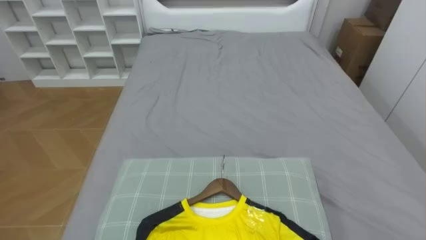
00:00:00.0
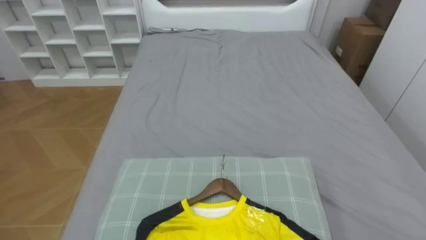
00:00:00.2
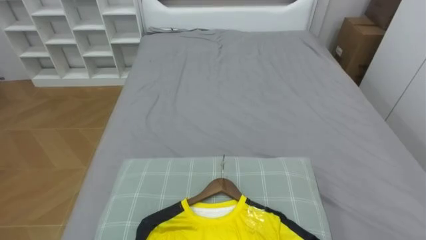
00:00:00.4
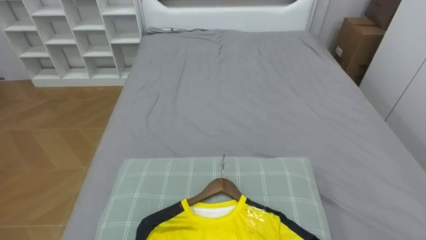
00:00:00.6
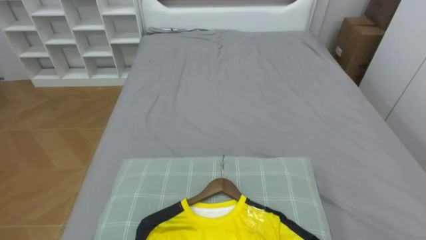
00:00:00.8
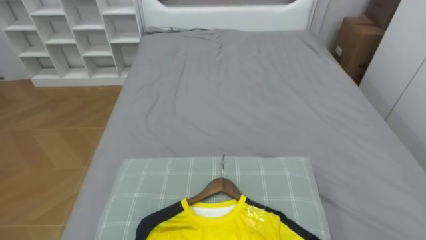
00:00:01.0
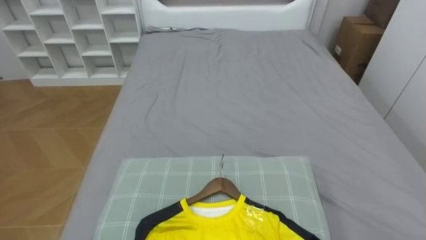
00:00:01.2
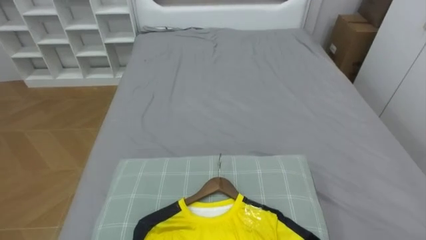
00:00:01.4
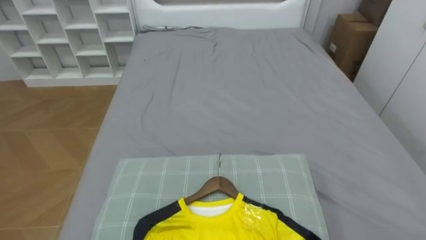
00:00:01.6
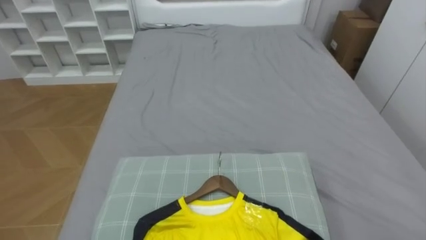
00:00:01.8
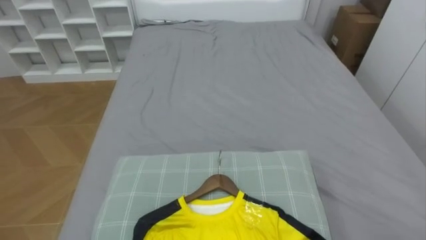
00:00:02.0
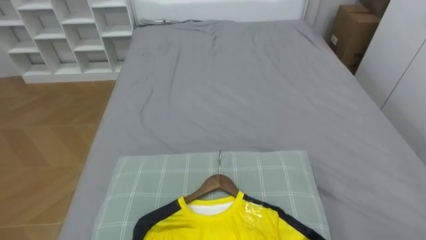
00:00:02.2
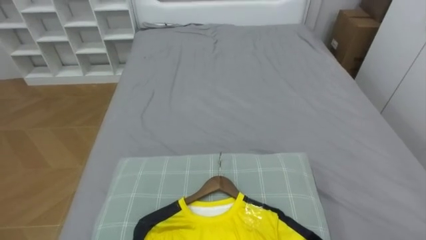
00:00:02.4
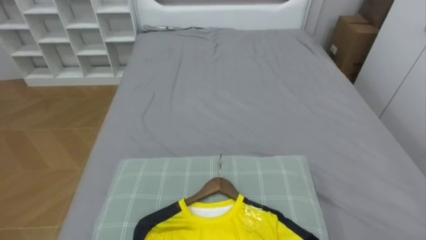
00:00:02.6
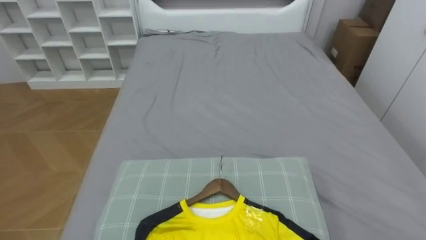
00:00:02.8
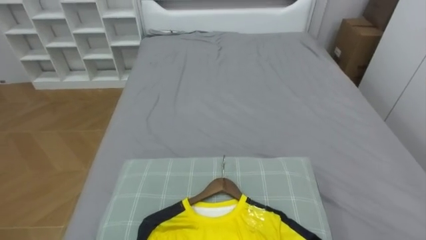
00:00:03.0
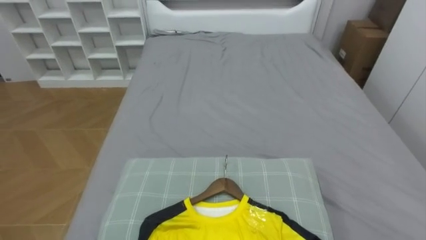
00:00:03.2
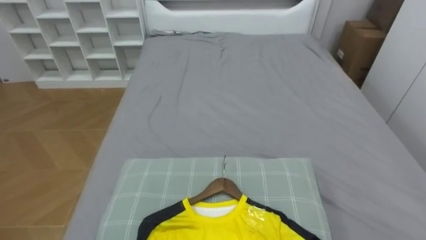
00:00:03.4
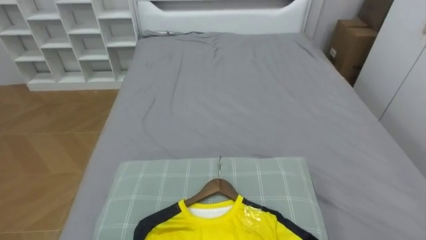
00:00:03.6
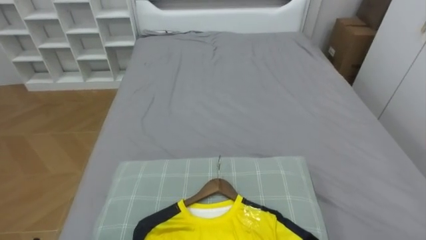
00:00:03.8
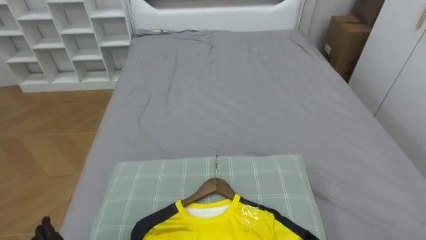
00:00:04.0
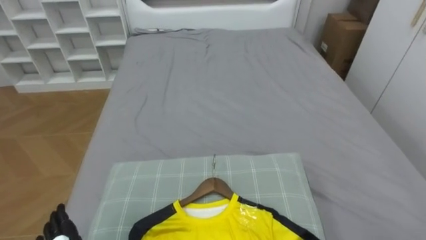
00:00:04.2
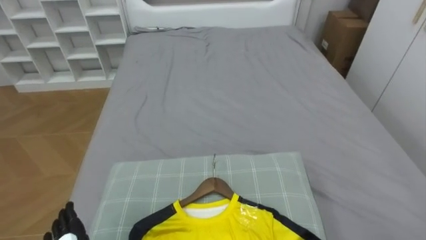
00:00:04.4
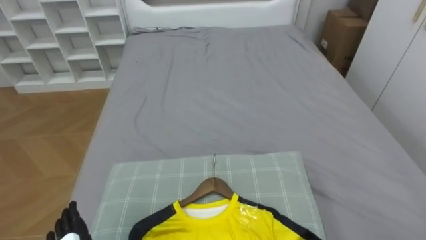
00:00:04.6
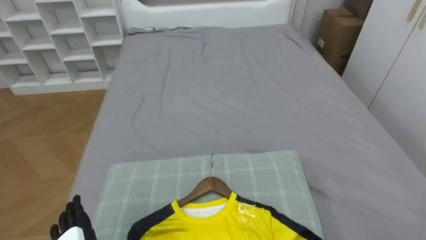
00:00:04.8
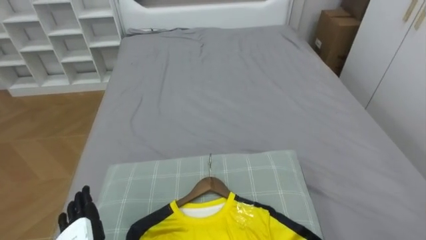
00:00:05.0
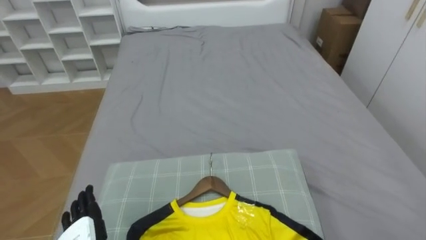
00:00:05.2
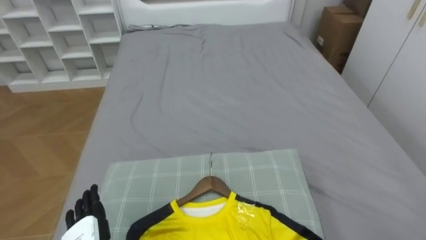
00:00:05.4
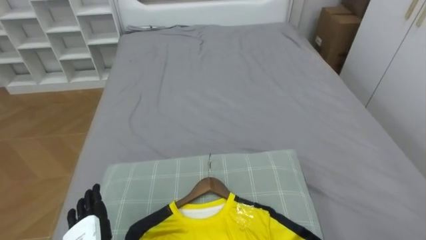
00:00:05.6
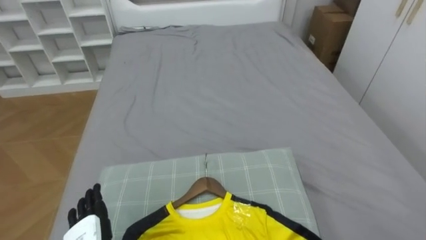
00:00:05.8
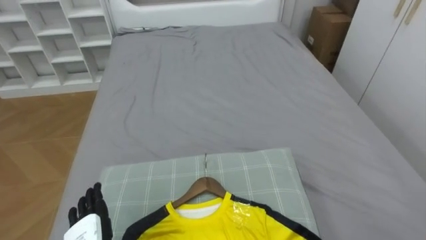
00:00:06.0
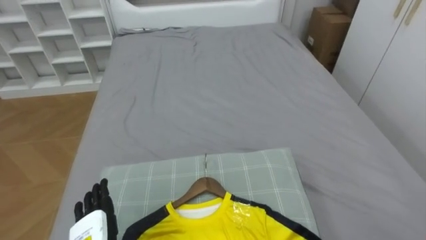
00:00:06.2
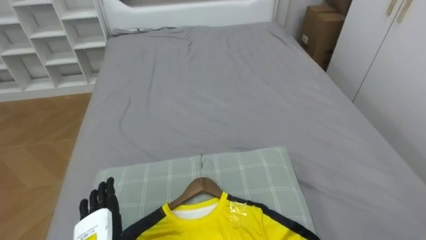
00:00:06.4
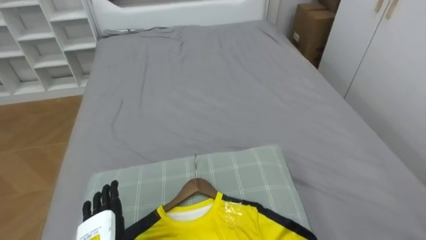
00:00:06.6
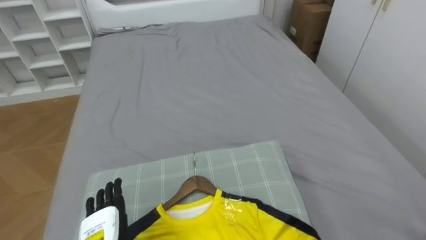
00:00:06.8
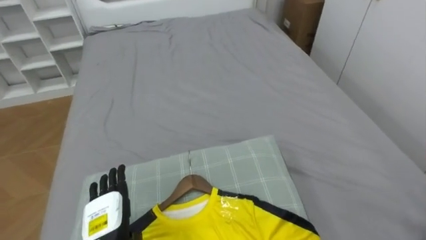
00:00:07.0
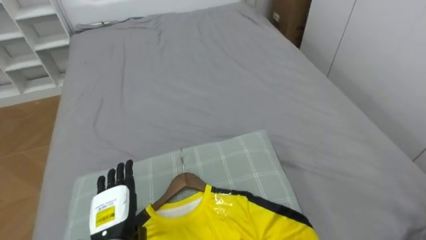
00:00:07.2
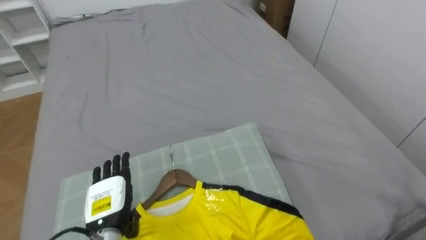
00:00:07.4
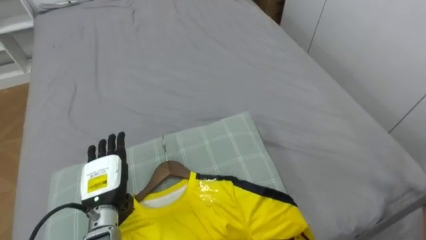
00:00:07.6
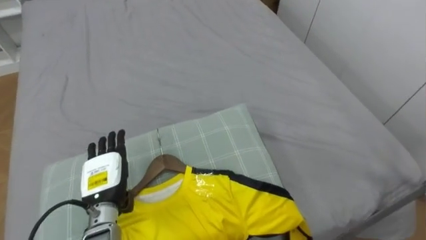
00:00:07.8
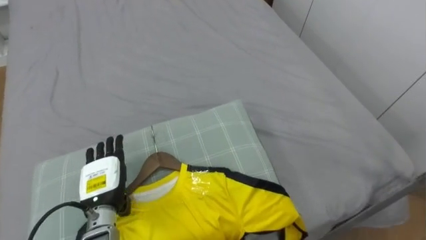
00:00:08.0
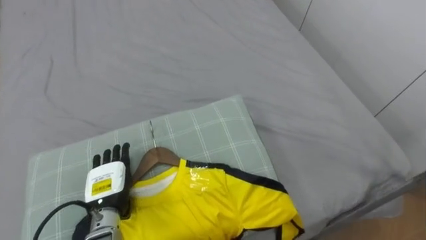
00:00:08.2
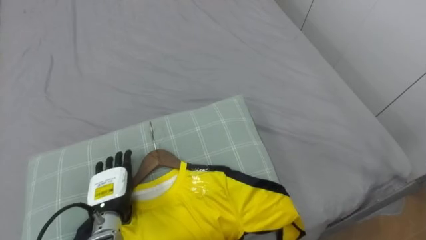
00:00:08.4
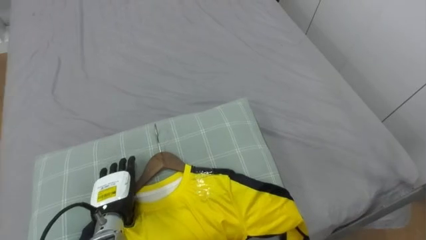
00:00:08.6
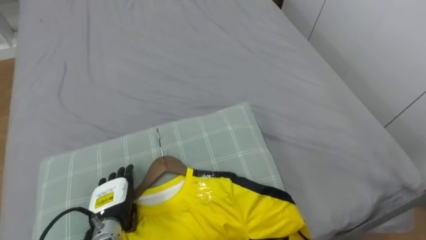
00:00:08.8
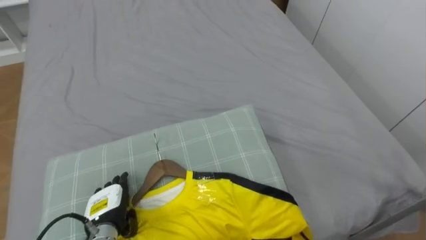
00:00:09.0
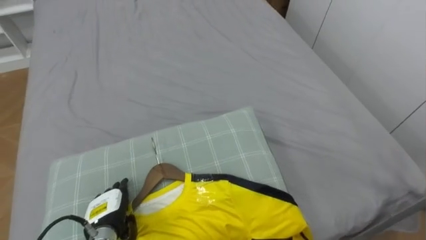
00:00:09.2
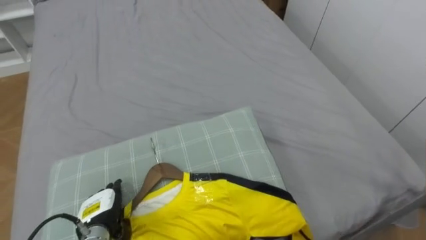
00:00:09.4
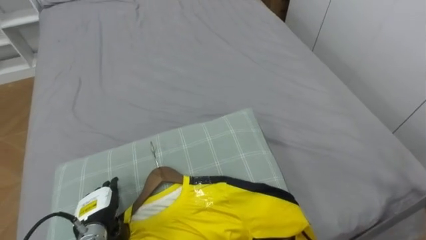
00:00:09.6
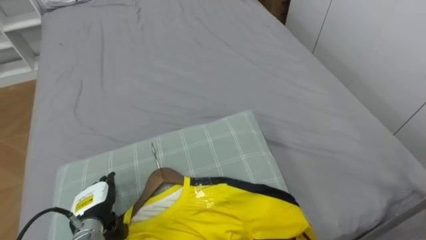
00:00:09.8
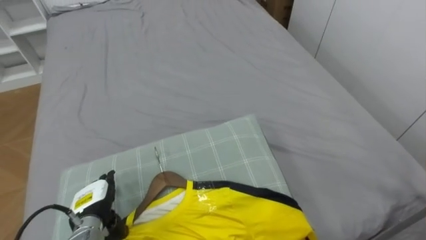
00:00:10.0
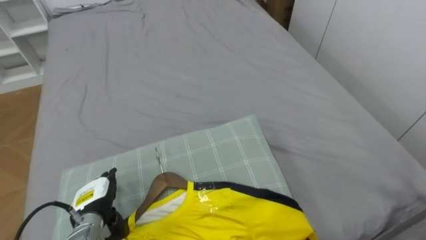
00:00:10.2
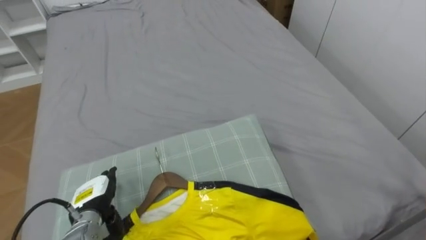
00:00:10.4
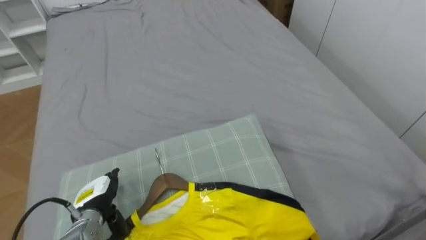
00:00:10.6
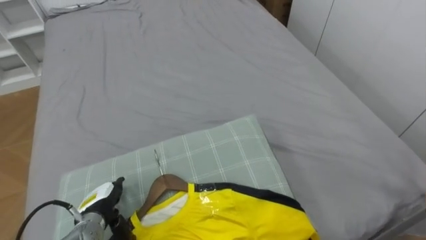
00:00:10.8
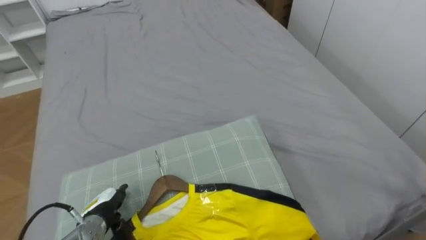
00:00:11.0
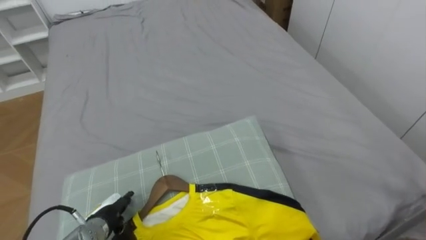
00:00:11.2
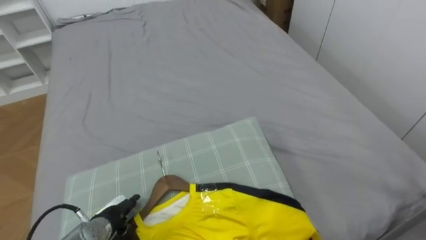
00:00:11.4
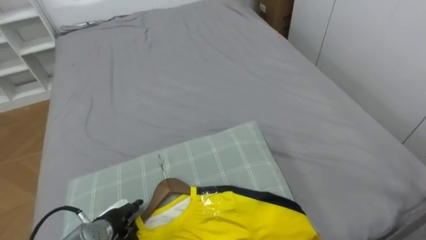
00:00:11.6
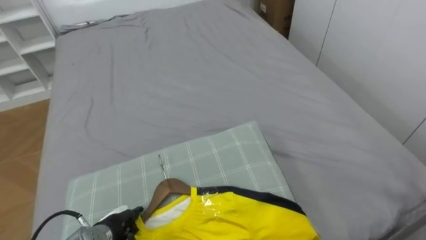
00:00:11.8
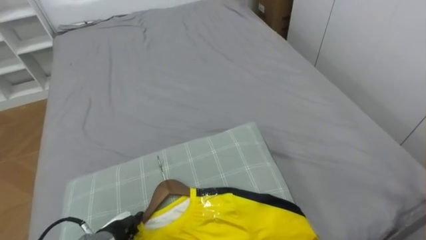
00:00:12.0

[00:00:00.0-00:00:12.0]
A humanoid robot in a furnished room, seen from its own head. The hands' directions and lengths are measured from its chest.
Task of the whole recording: Pick up the yellow shirt on the bed and hang it on the clothes rack on the right.
00:00:07.6 to 00:00:09.0: The left hand moves downward, about 5 cm.

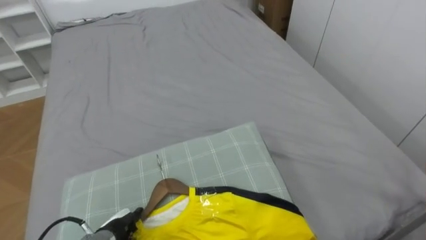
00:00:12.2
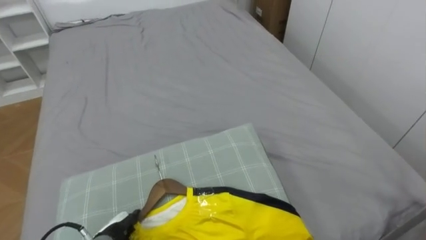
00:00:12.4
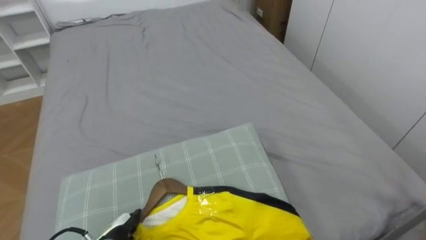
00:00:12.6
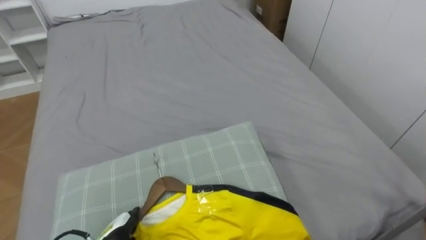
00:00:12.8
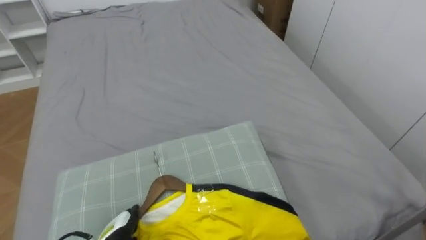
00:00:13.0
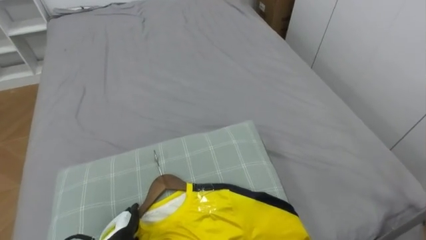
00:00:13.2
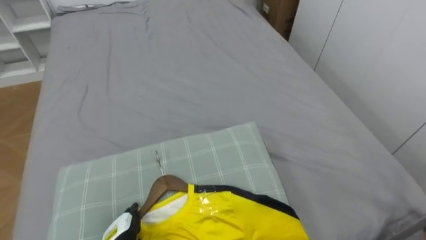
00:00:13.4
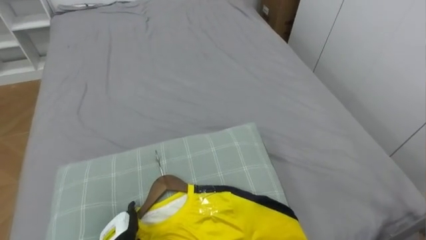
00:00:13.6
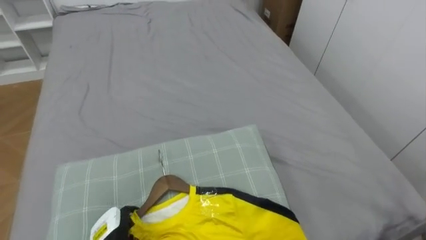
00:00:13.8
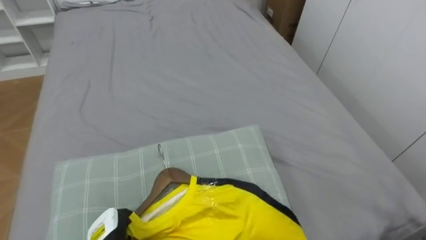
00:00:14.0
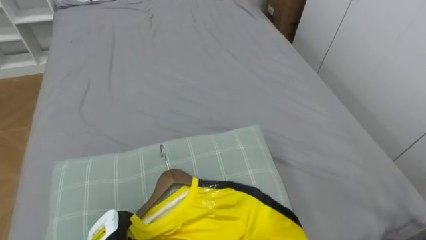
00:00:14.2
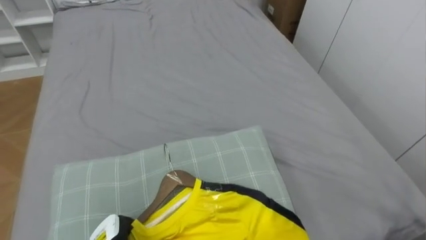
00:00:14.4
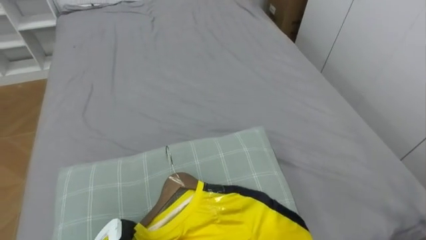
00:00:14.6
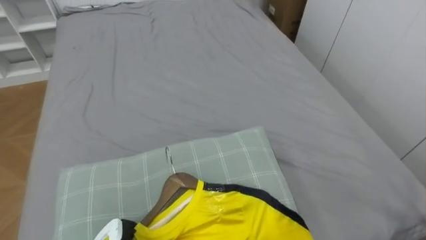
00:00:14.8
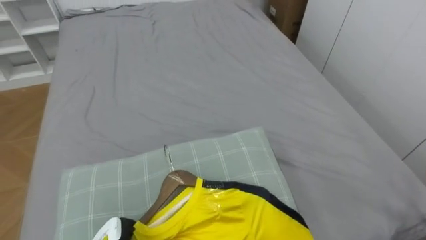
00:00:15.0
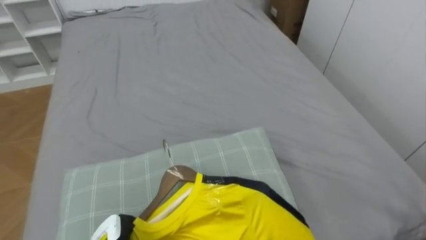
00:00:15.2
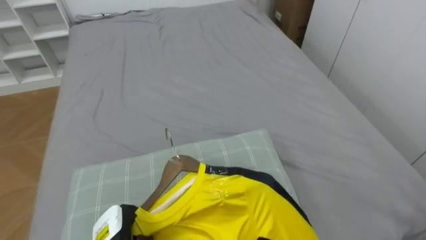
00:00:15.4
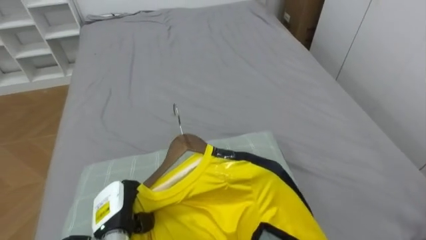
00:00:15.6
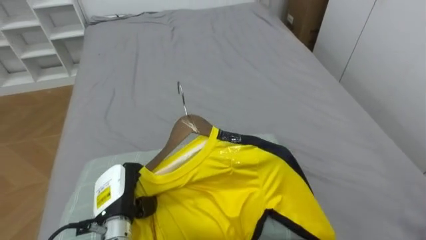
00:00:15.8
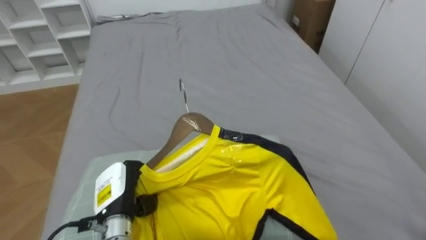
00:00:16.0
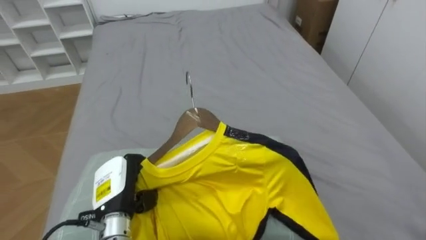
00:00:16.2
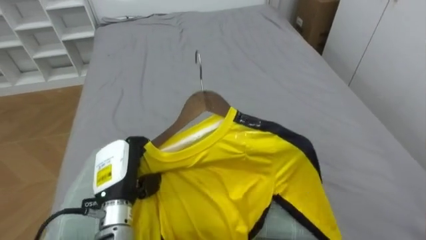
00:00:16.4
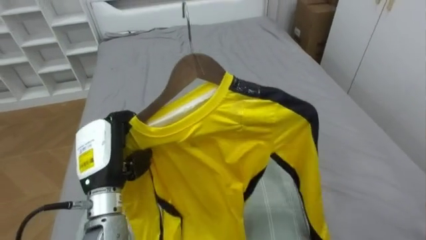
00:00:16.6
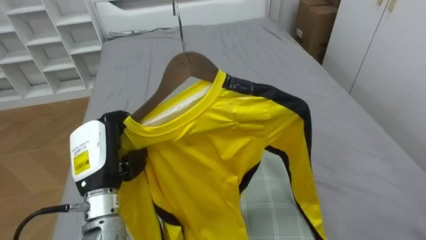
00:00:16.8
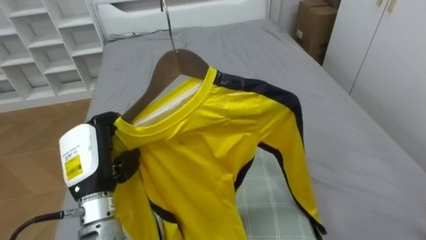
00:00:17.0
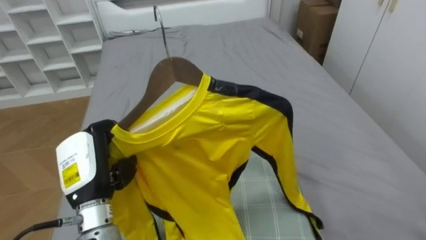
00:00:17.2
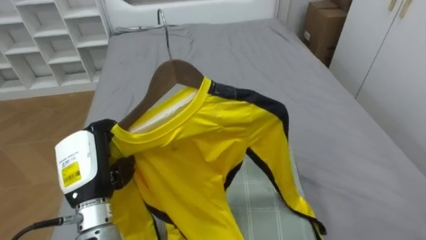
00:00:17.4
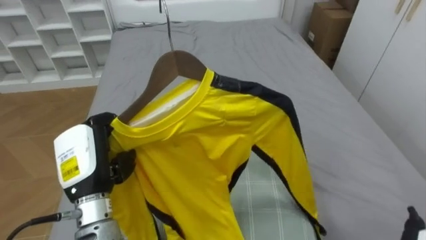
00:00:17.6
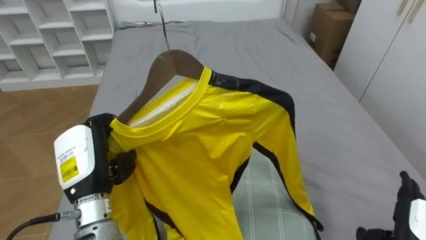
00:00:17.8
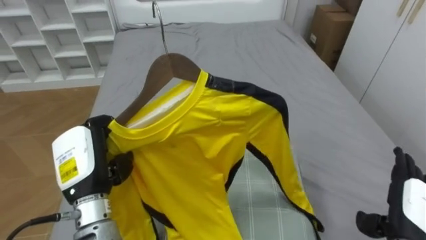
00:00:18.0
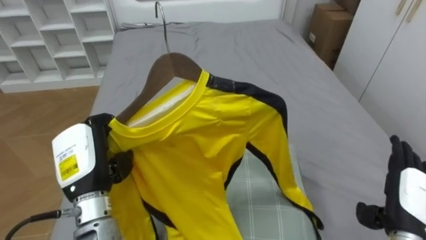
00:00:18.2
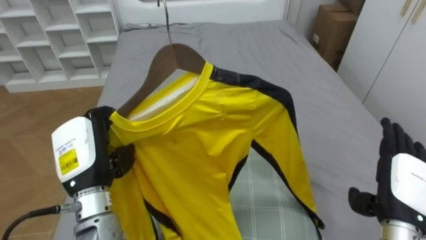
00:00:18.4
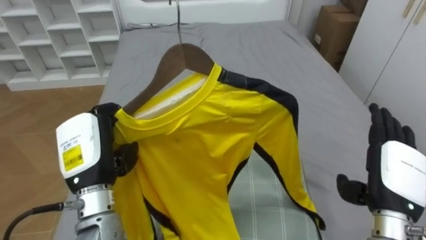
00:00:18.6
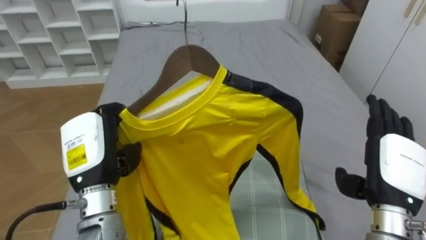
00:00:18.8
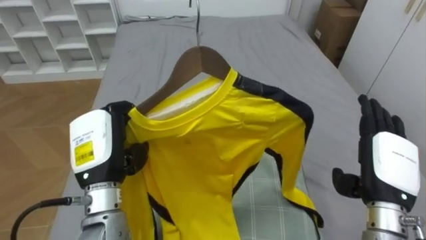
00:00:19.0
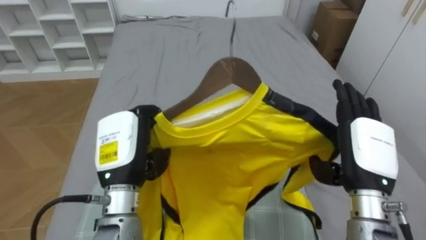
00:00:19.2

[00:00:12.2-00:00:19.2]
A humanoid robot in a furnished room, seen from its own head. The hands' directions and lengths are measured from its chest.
Task of the whole recording: Pick up the yellow shirt on the bed and hang it on the clothes rack on the right.
00:00:16.4 to 00:00:17.8: The left hand moves upward, some 5 cm.
00:00:17.8 to 00:00:19.2: The left hand heads to the right, covering about 5 cm.
